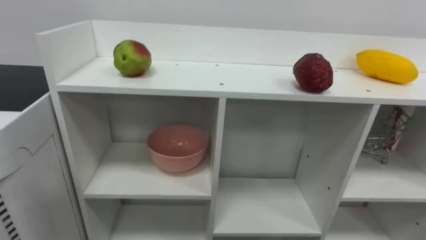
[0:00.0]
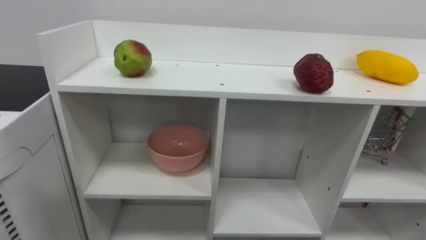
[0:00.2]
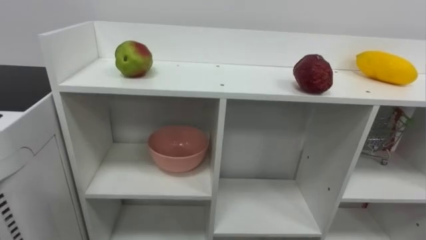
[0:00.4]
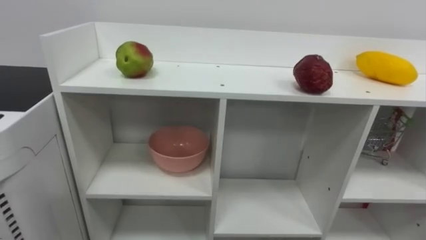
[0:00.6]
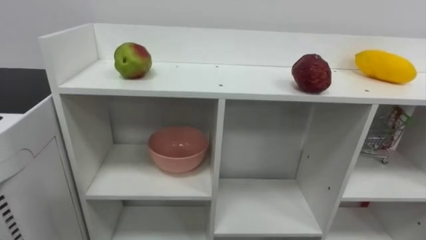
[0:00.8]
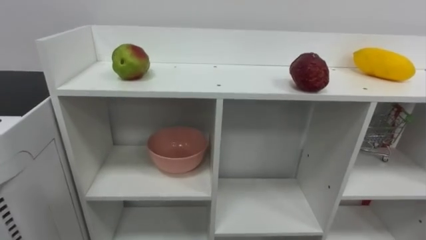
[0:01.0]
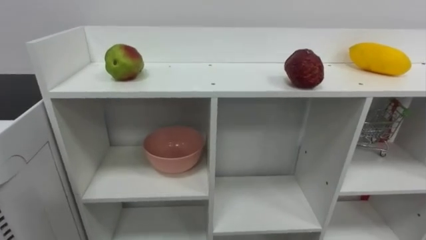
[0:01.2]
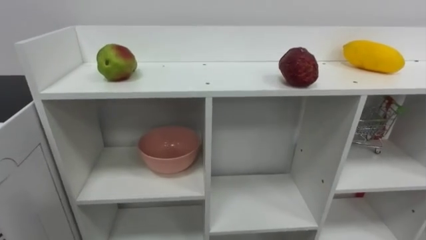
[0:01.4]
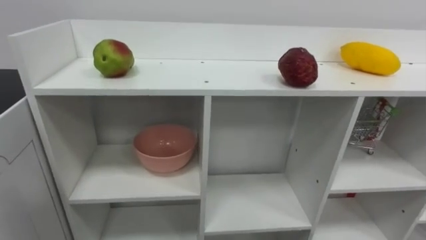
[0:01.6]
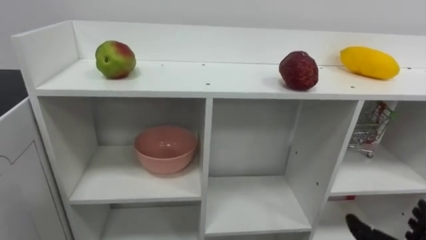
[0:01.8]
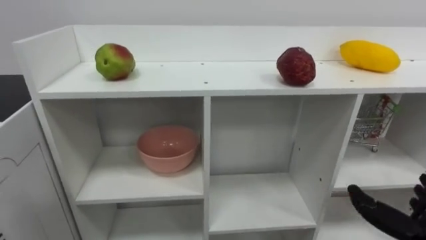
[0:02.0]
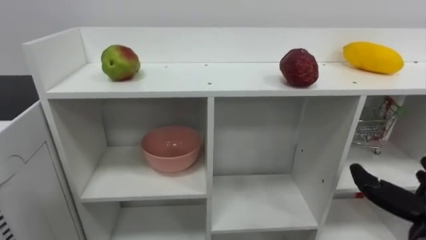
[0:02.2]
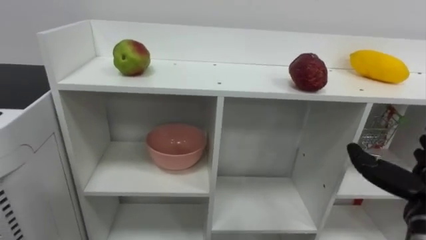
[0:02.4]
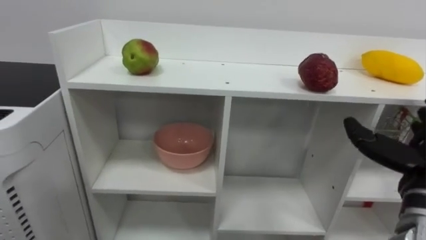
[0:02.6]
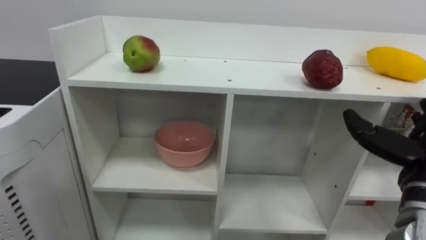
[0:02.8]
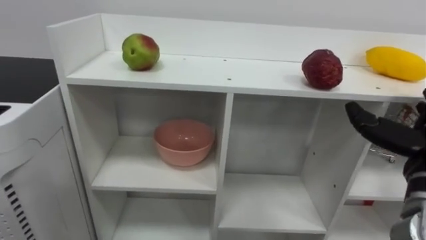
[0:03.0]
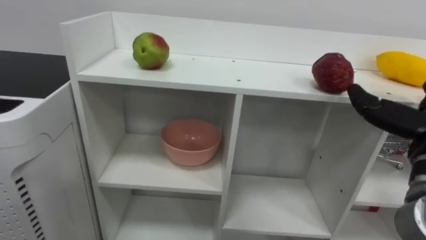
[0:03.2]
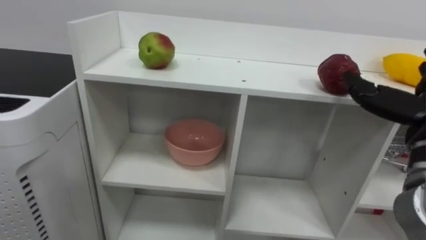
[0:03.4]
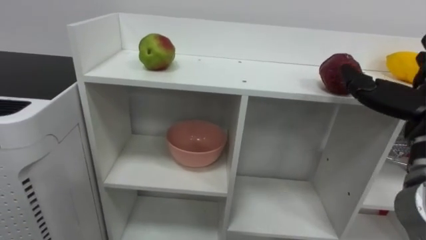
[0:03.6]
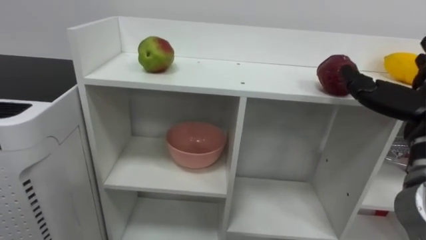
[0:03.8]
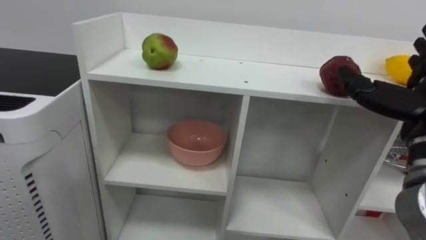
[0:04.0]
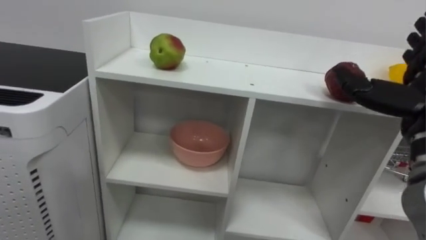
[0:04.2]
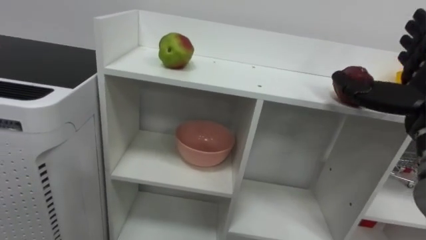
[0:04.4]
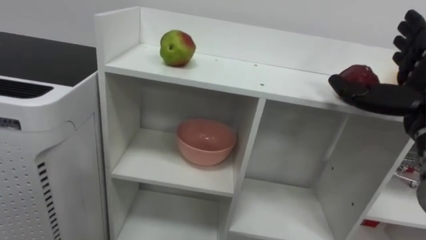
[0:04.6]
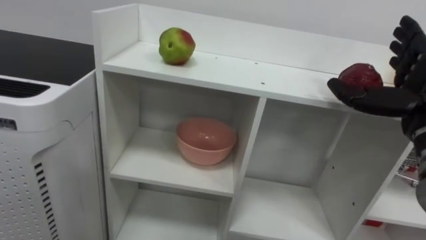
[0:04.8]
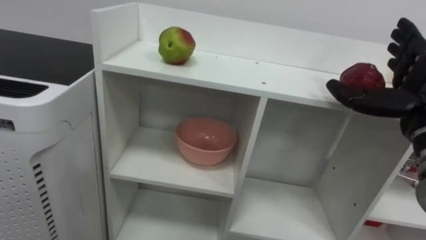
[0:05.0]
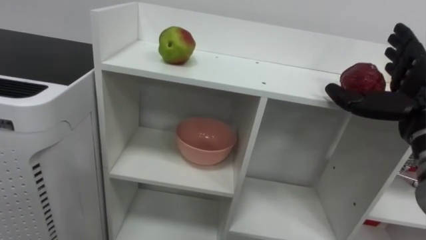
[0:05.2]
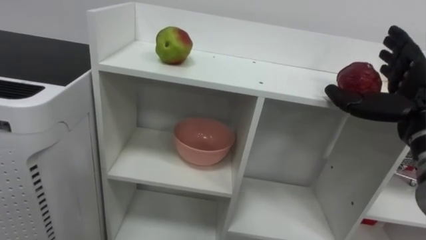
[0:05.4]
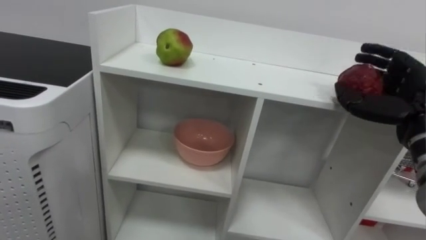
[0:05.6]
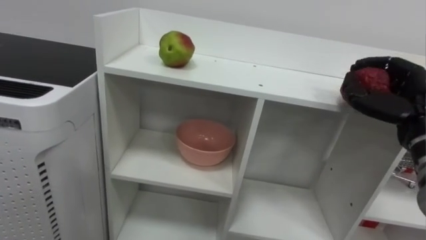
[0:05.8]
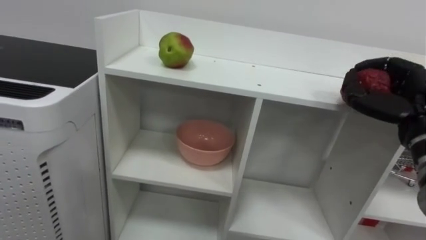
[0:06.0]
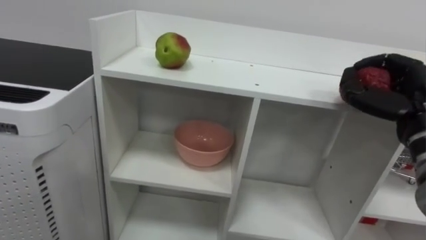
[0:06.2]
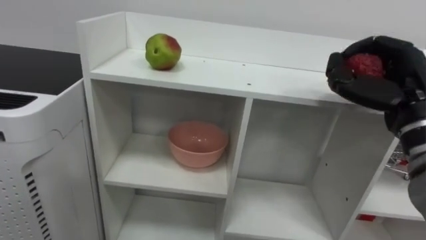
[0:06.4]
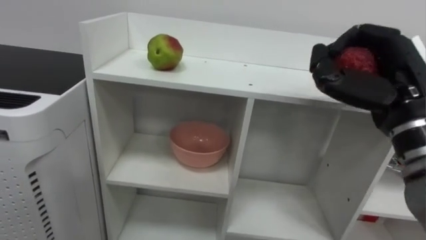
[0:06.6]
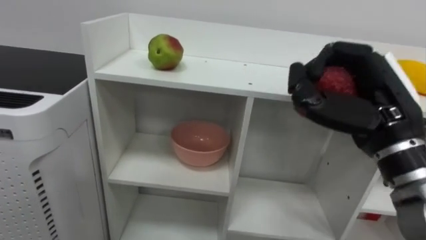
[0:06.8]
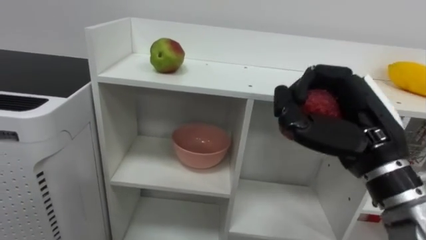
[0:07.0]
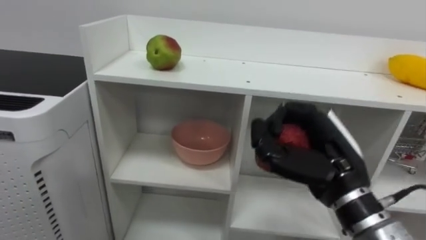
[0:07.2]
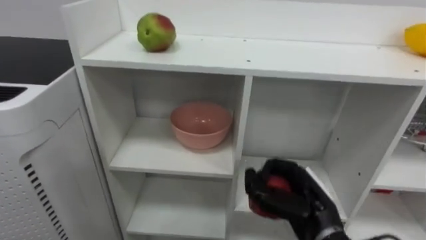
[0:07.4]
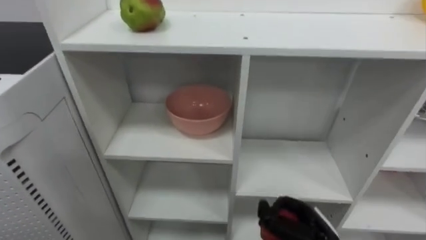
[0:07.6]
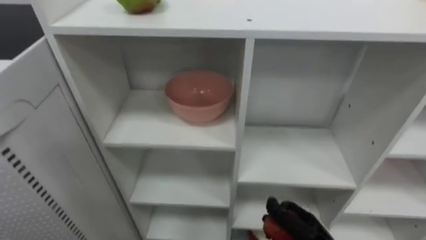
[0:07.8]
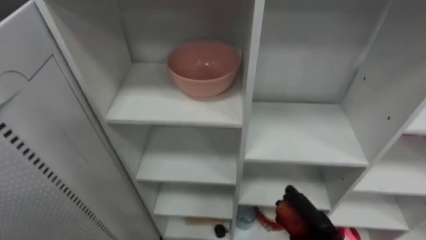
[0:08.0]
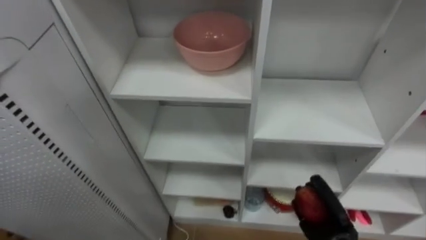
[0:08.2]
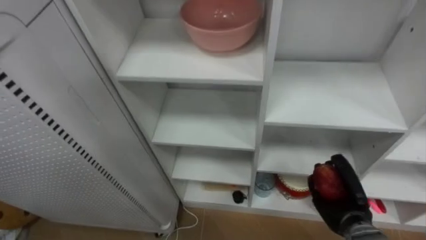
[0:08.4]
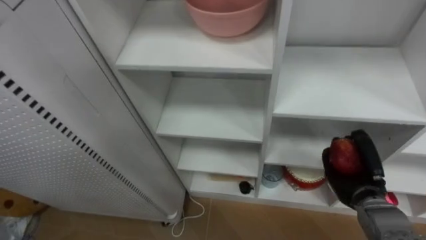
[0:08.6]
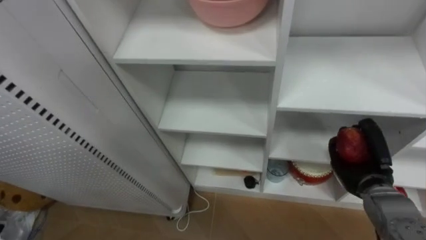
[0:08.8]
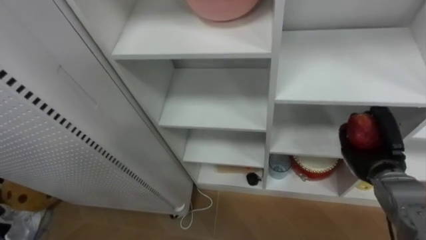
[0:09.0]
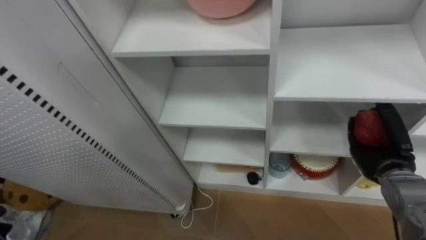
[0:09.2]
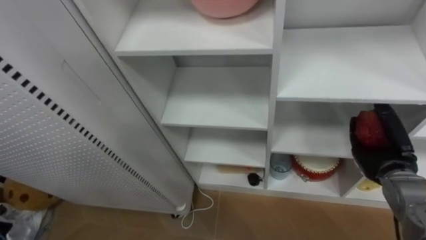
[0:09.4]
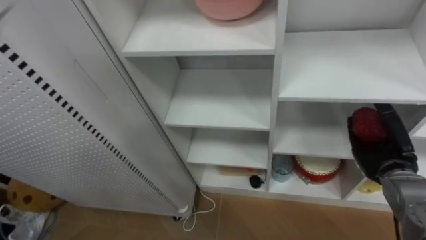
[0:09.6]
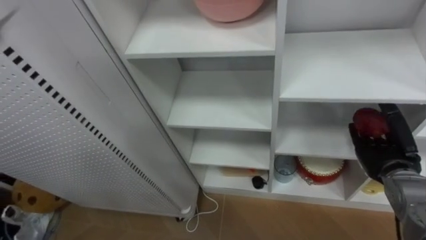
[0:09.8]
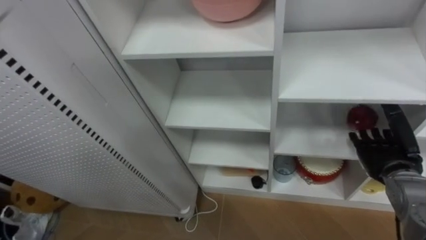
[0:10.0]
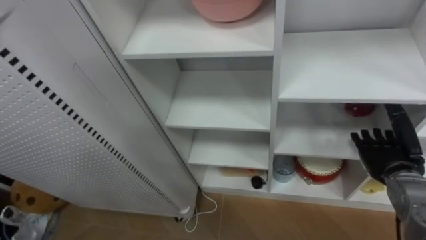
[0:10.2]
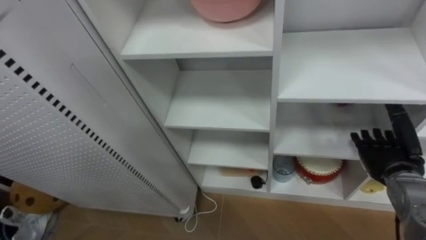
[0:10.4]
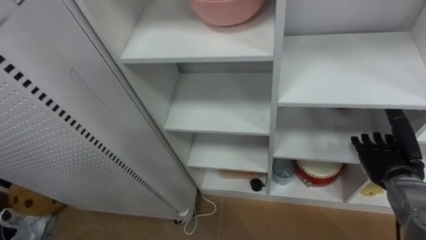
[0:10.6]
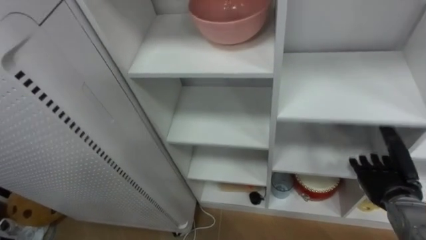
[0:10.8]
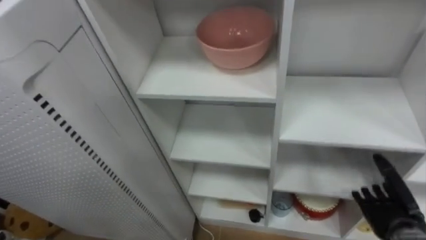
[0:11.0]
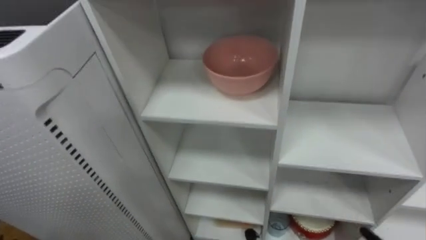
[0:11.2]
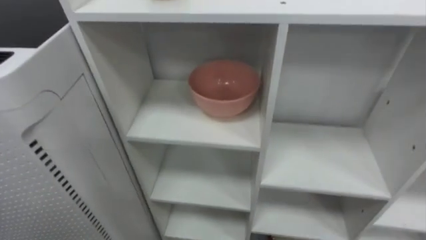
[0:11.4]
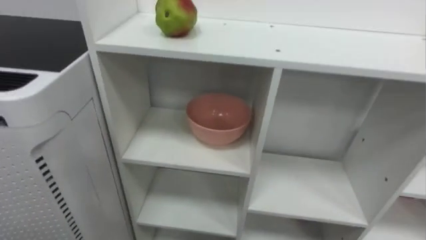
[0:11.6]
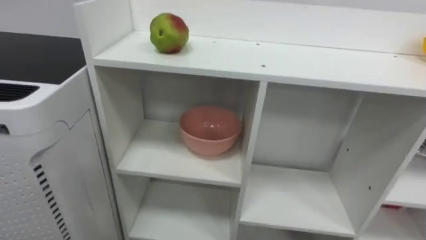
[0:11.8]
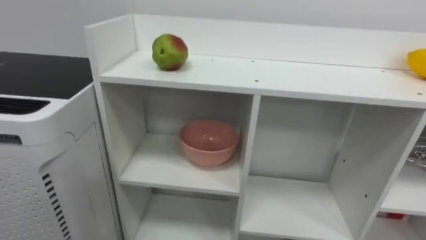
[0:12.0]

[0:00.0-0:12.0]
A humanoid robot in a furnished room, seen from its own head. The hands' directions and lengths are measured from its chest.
Task of the whole recording: Put the apple in the cell in the second column from the left and the second row from the top.
0:04.4 to 0:06.0: The right hand closes its fingers.
0:06.0 to 0:07.6: The right hand goes roughly 25 cm downward and to the left.
0:09.0 to 0:10.4: The right hand opens.

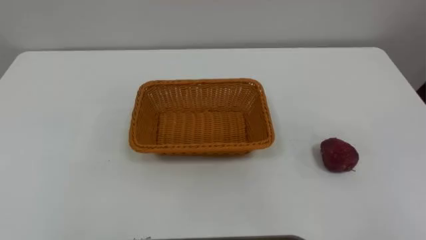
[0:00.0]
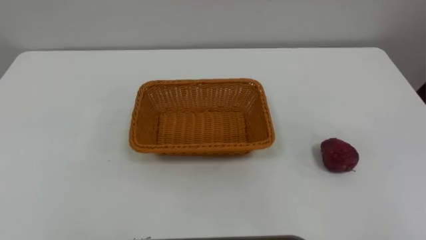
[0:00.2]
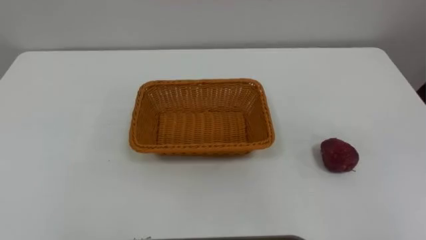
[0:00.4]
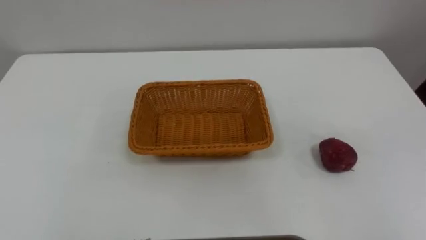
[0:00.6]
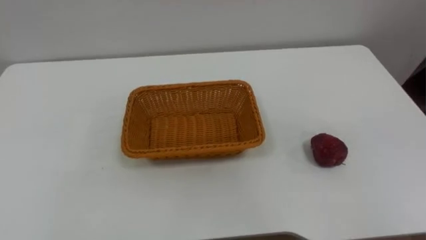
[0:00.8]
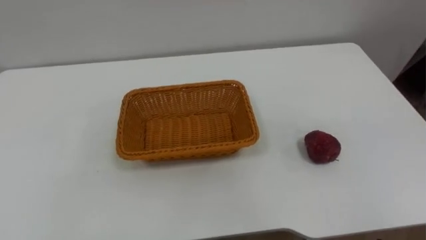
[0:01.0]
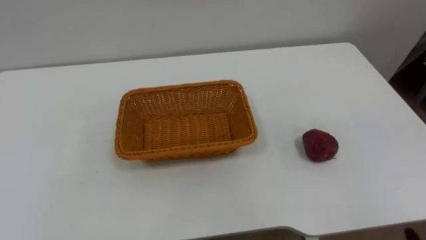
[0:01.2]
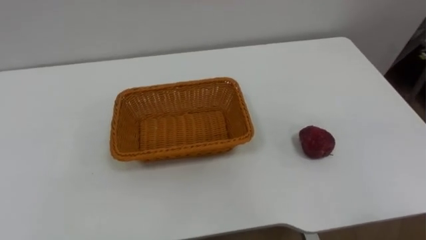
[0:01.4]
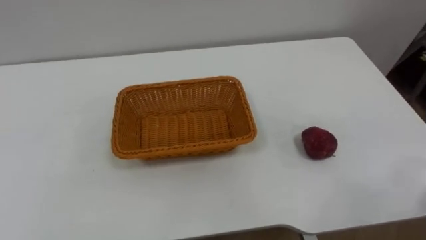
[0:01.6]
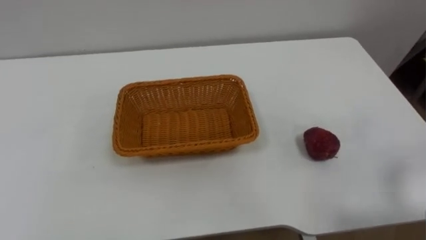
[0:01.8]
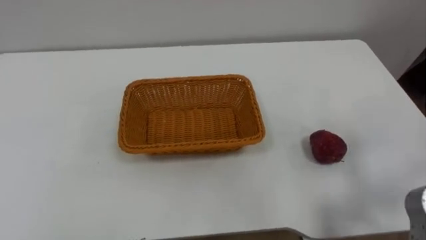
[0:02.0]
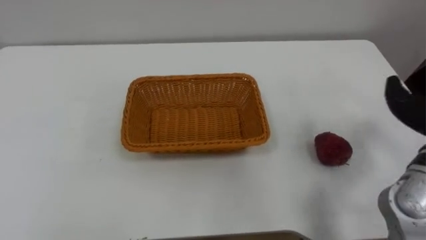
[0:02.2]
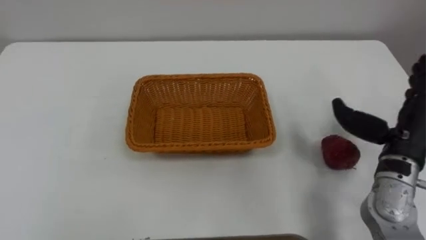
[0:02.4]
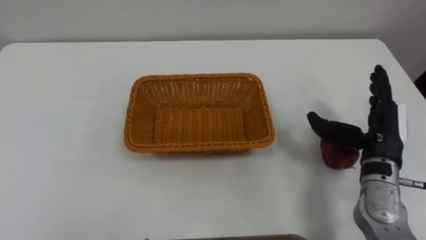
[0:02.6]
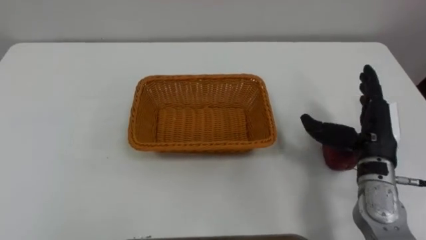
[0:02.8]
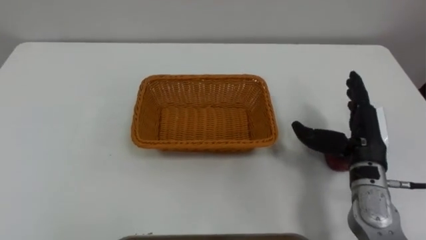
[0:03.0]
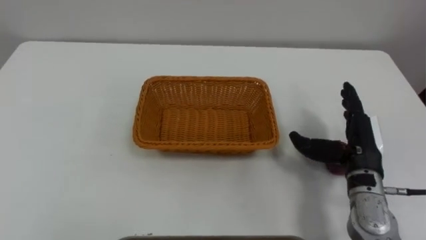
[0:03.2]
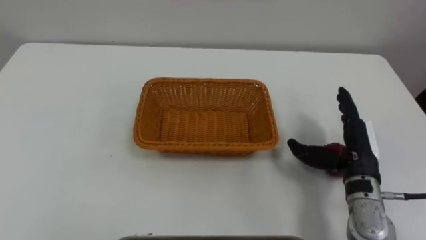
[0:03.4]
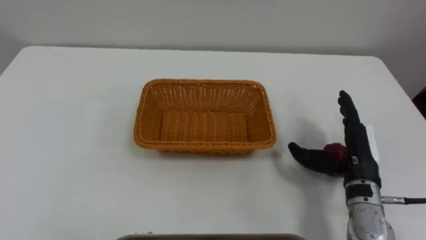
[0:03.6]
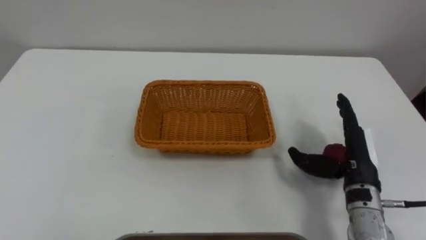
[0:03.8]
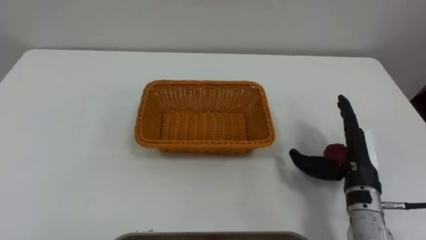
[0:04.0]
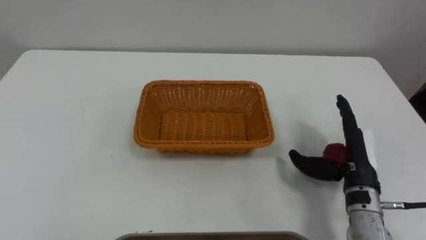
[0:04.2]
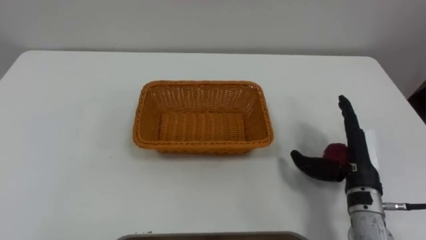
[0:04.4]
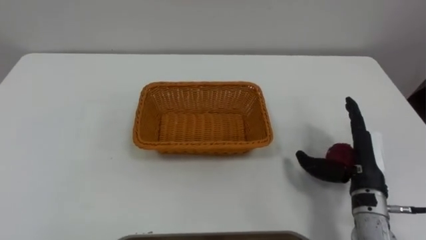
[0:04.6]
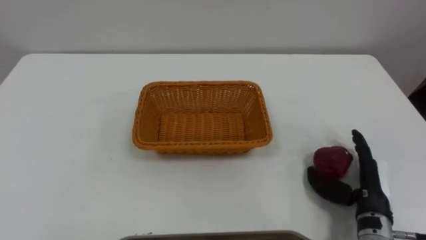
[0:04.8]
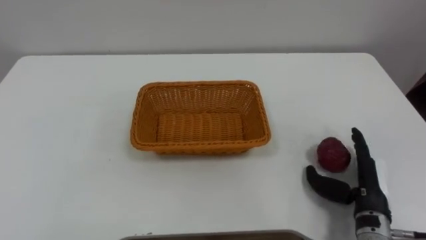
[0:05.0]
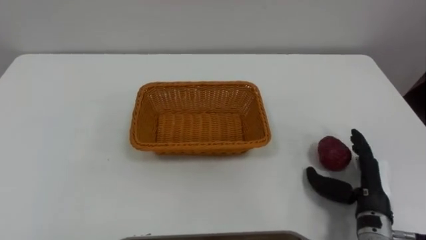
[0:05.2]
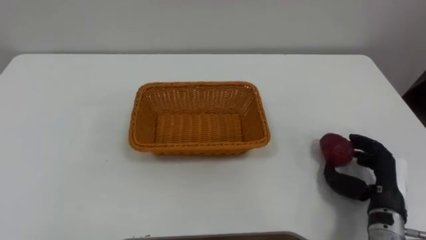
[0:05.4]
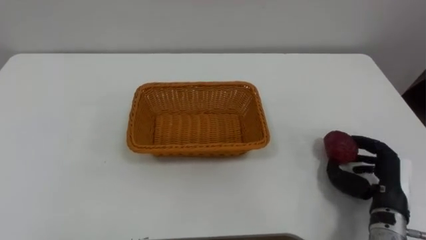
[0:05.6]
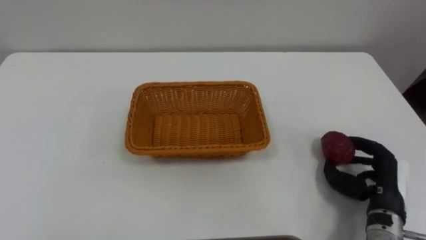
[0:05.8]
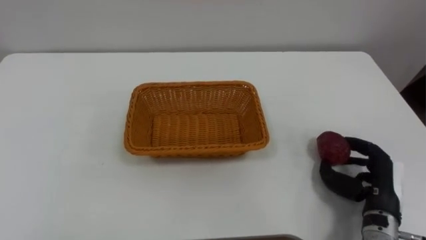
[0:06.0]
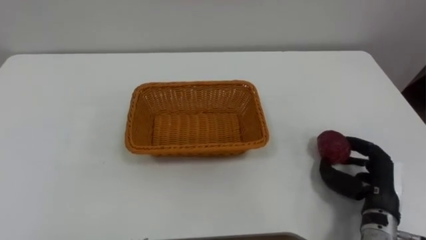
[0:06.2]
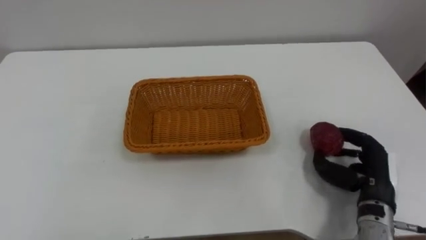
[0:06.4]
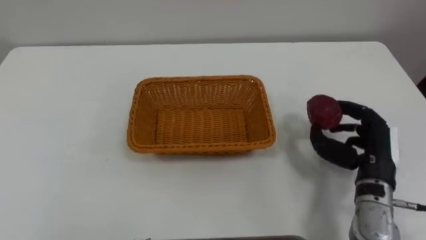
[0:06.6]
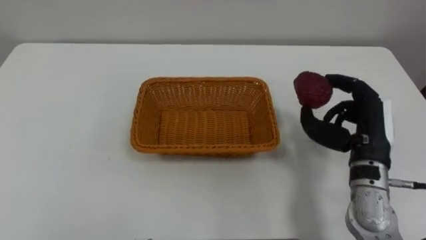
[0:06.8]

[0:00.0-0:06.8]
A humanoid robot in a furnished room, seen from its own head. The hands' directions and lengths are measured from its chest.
Task of the whole recording: Pick the apple and place it in the box.
0:02.8 to 0:04.0: The right hand heads downward, covering about 5 cm.
0:04.0 to 0:05.4: The right hand changes place by roughly 10 cm, and closes its fingers.
0:05.4 to 0:06.8: The right hand shifts some 15 cm upward, forward and to the left.
